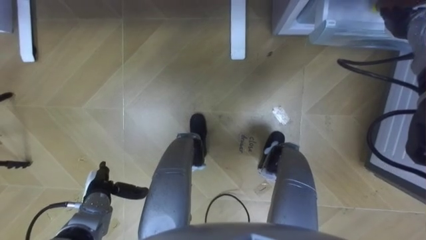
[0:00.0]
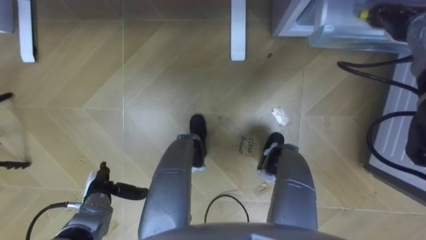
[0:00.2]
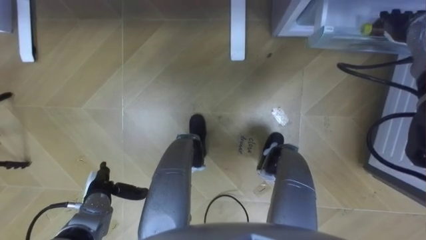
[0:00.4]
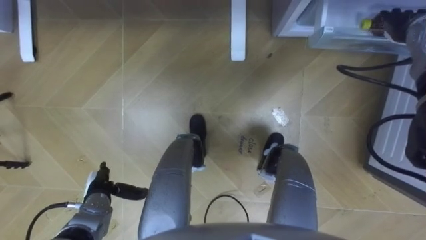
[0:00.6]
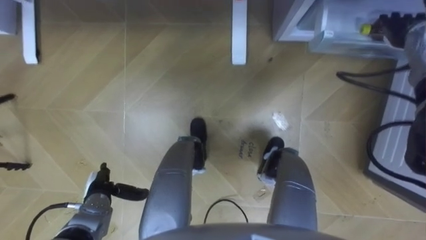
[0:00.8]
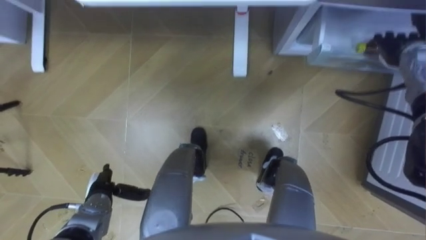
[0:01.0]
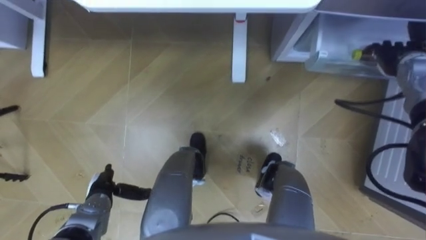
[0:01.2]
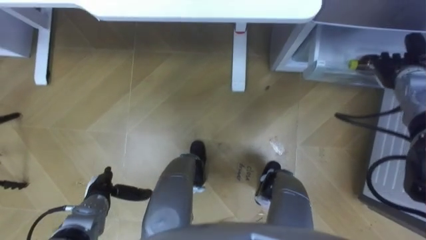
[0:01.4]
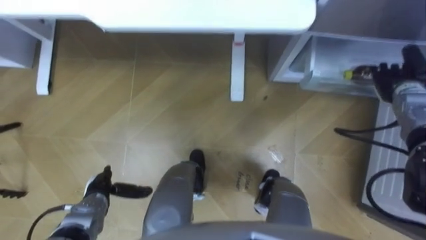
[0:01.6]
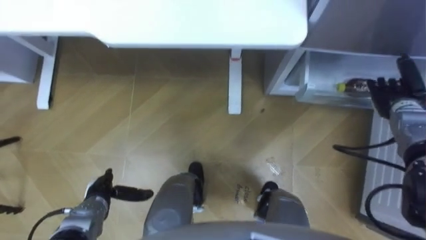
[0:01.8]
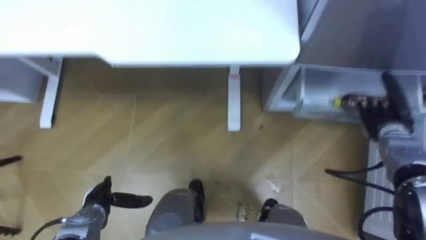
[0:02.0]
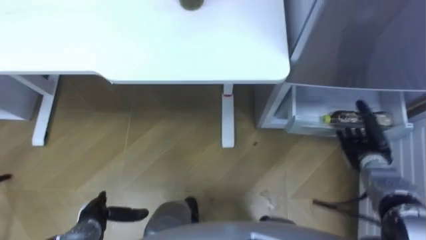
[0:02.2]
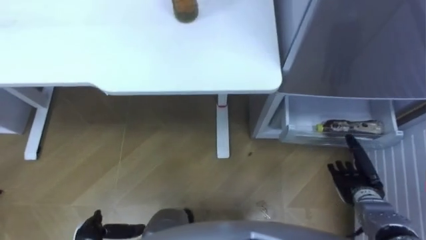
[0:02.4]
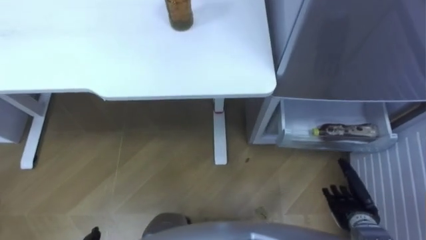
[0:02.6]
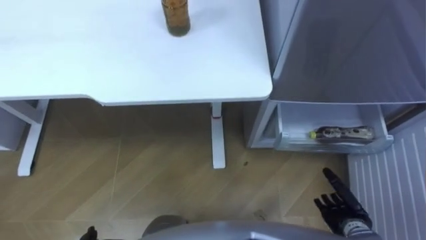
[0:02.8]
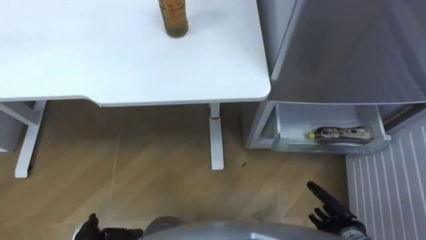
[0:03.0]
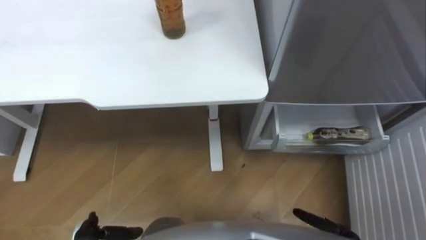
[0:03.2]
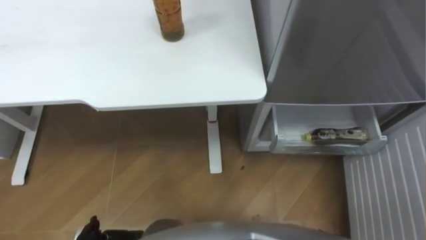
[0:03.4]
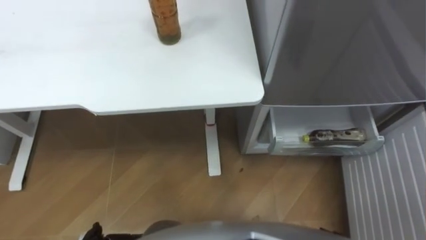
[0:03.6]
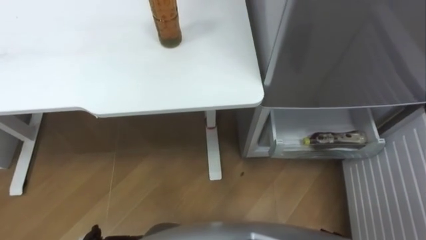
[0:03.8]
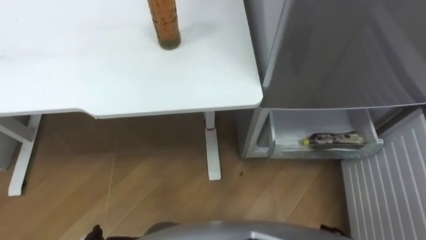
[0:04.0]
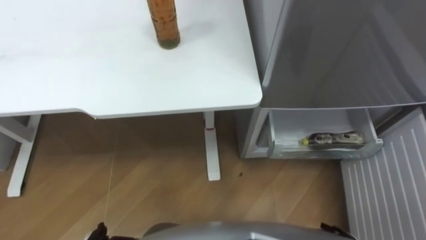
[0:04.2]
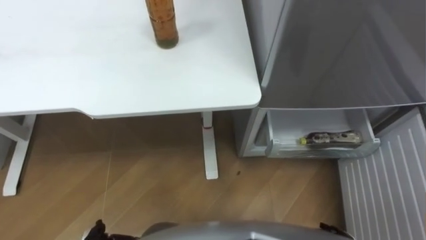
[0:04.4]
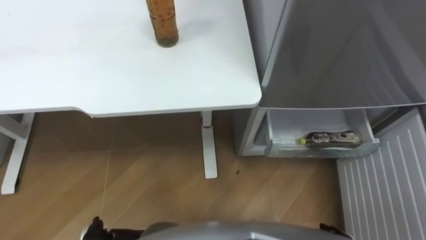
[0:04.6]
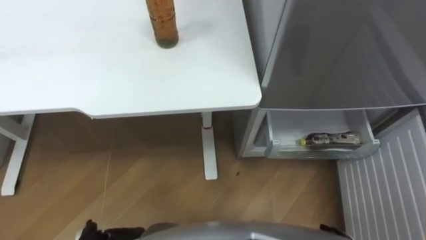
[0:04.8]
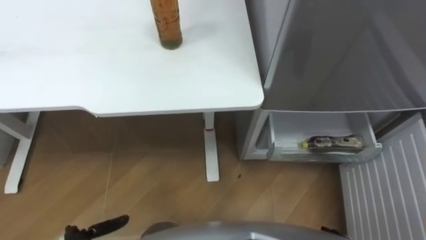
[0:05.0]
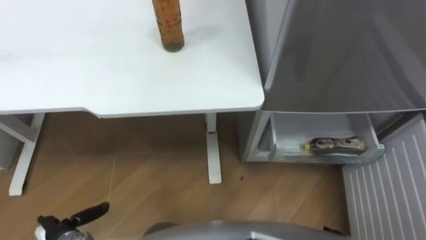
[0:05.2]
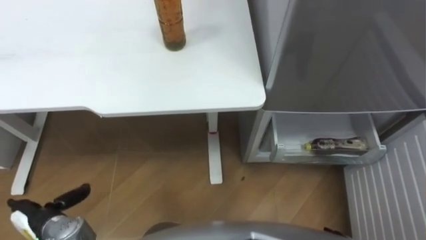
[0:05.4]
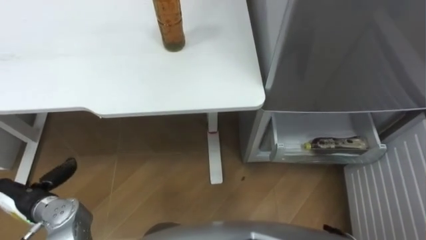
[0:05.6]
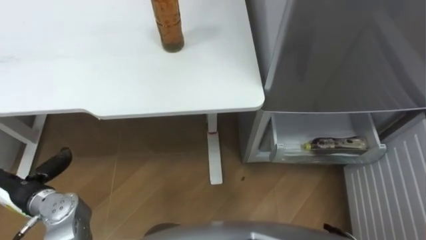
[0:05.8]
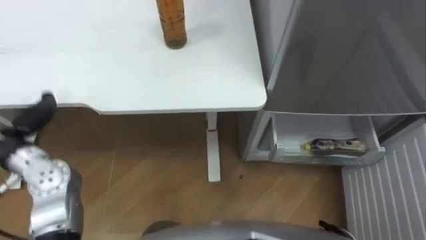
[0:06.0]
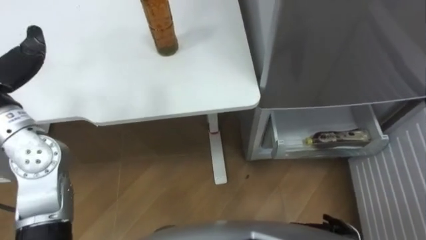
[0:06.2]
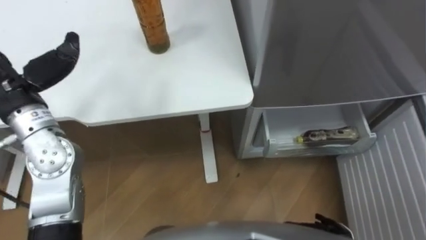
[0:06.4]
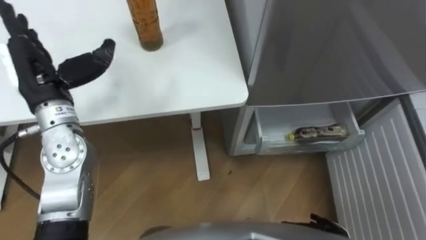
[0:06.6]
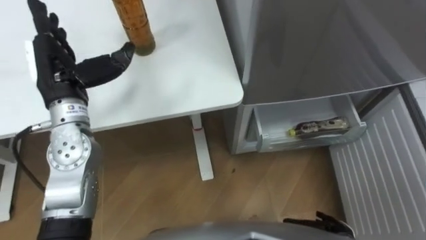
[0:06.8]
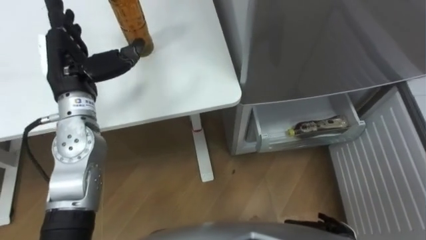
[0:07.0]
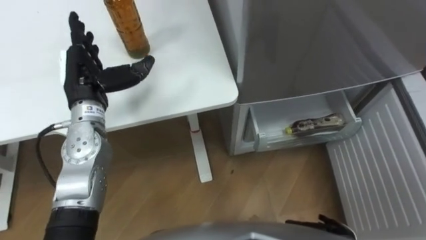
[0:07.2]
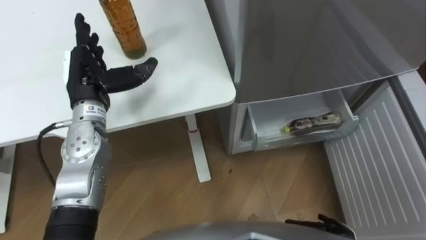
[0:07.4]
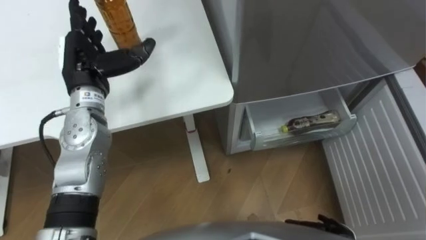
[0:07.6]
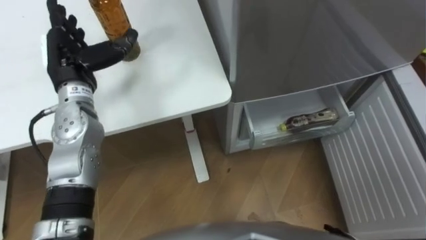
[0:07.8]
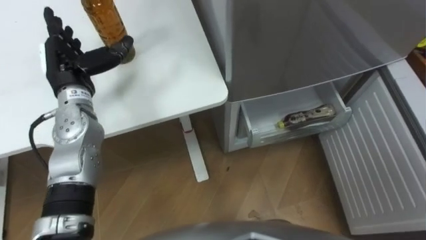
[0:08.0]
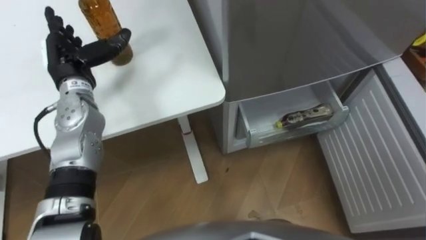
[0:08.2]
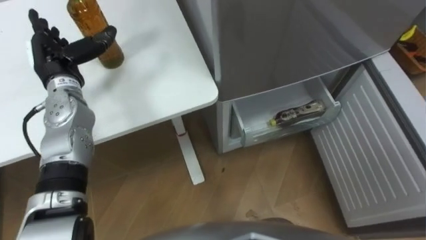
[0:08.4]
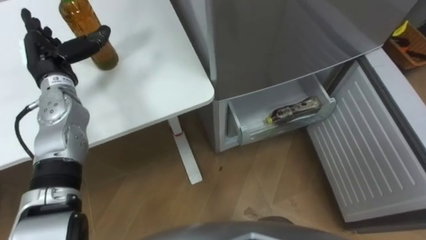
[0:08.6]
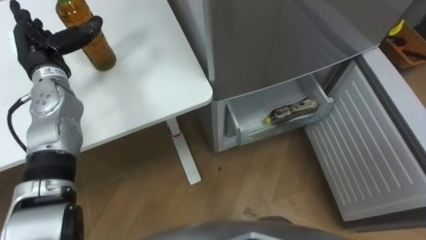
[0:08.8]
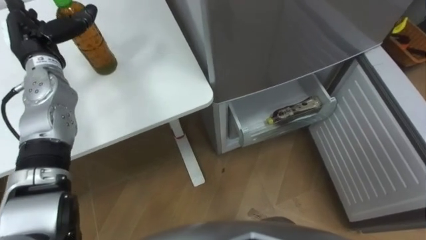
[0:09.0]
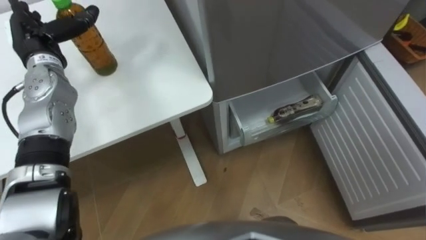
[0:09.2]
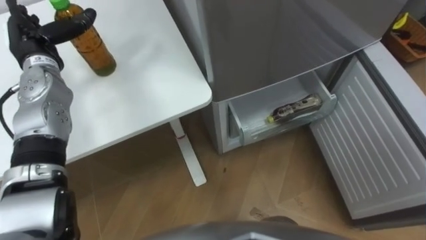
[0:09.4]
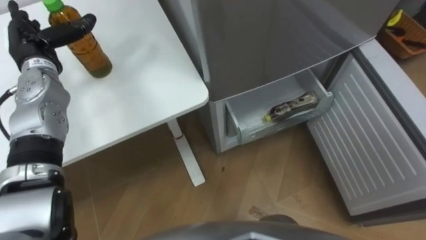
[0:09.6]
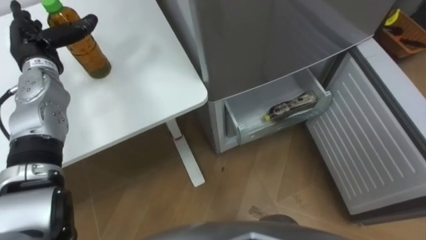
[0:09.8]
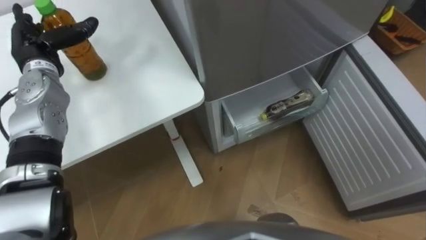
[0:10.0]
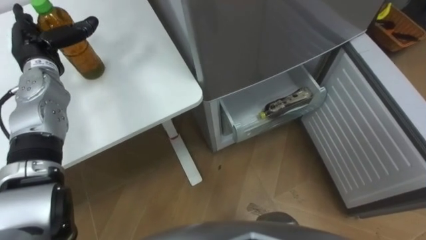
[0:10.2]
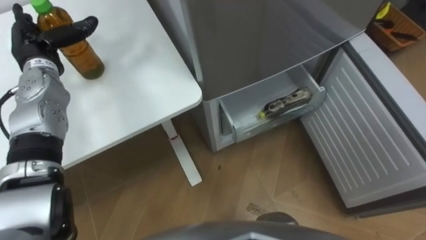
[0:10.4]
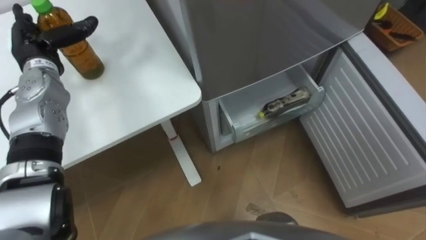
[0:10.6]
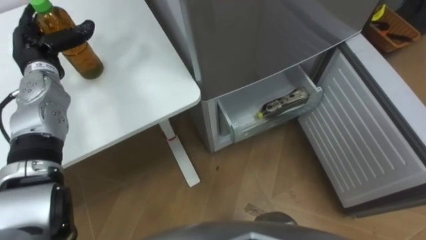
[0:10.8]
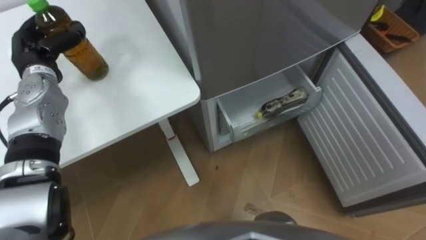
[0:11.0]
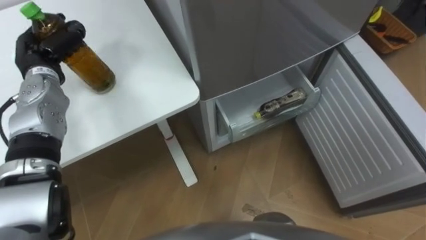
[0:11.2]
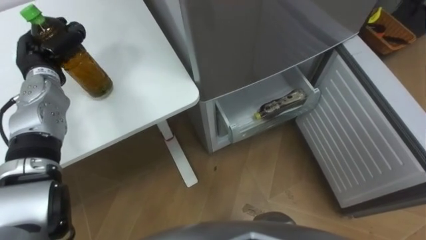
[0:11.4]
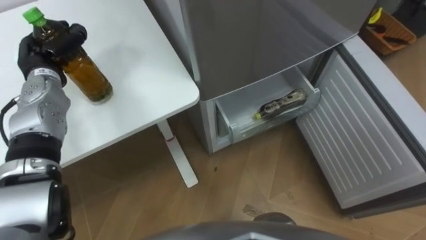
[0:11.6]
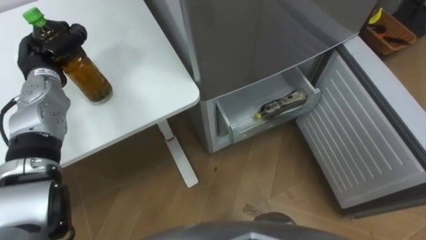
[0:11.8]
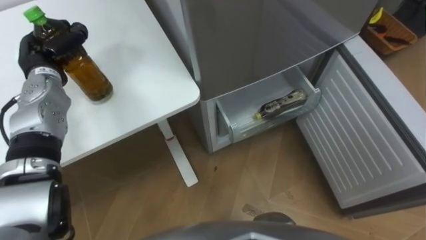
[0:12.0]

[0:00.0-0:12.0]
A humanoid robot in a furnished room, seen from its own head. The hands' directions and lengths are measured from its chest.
Task of the whole recording: Place the drink on the table on the bottom shelf of the refrigerator, then close the drawer and the refrigerator door.
0:00.0 to 0:01.6: The right hand travels downward and backward by about 10 cm.
0:01.6 to 0:03.0: The right hand heads backward and downward, covering some 30 cm.
0:07.6 to 0:09.0: The left hand travels to the left by roughly 10 cm.
0:10.4 to 0:12.0: The left hand closes up.

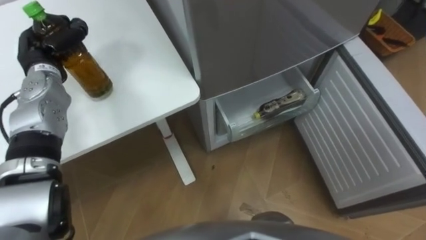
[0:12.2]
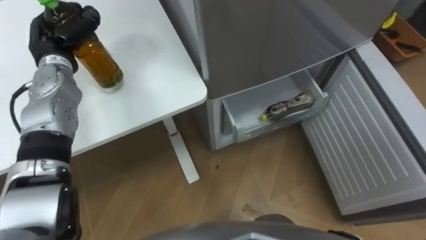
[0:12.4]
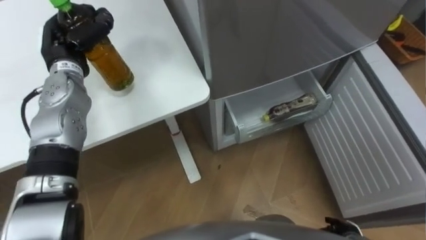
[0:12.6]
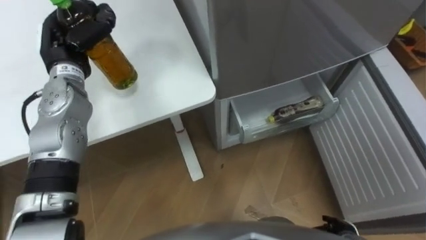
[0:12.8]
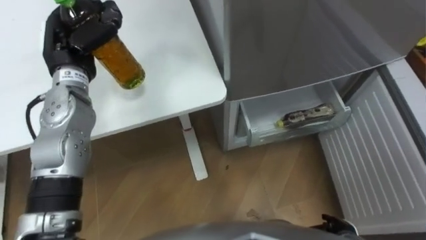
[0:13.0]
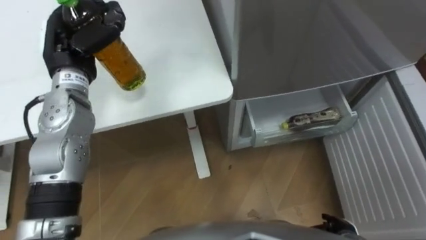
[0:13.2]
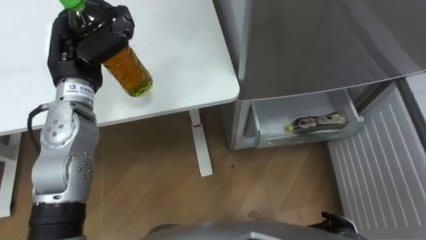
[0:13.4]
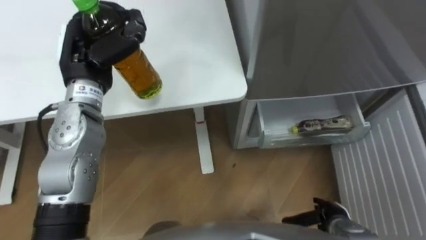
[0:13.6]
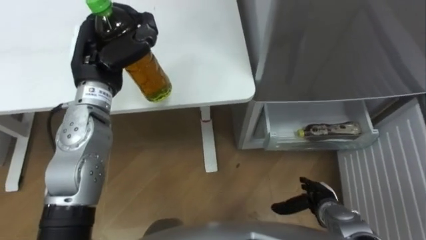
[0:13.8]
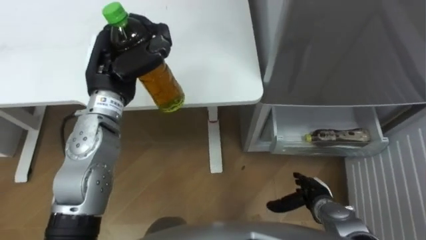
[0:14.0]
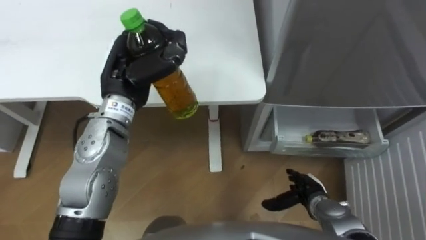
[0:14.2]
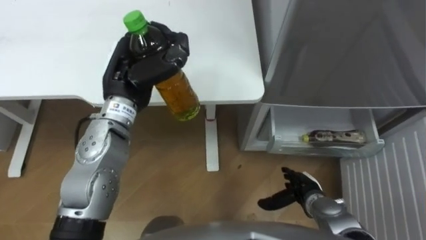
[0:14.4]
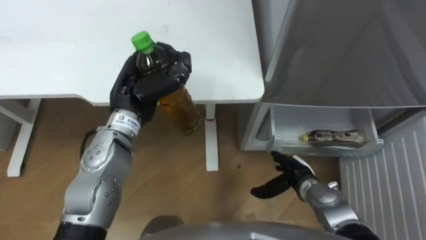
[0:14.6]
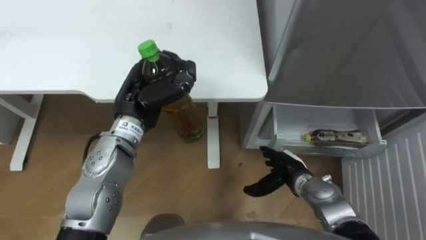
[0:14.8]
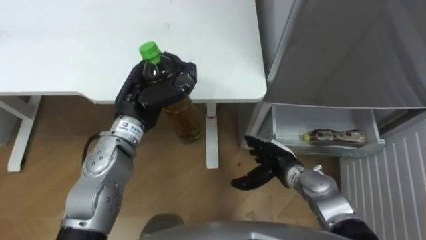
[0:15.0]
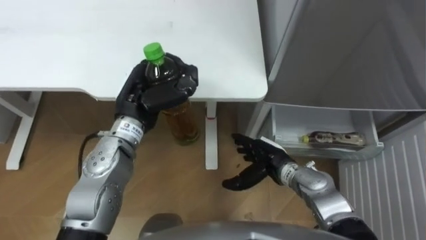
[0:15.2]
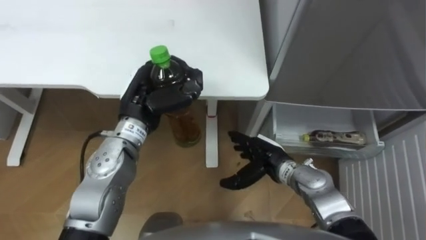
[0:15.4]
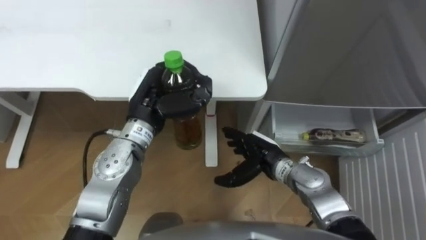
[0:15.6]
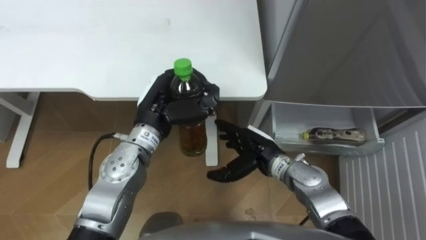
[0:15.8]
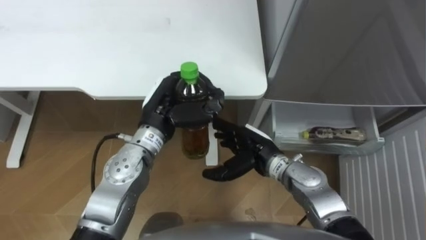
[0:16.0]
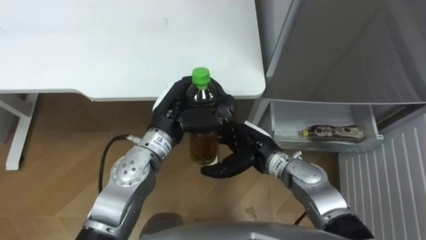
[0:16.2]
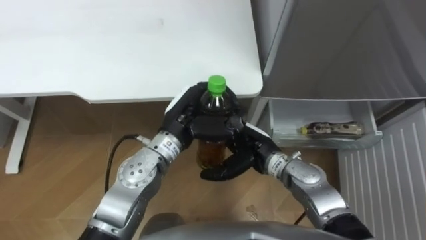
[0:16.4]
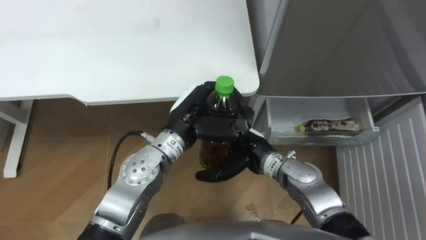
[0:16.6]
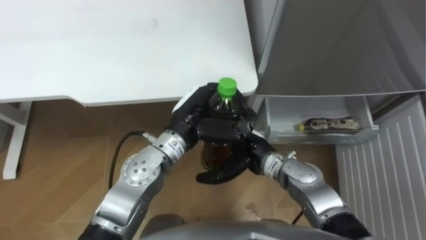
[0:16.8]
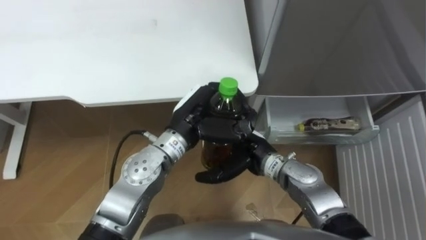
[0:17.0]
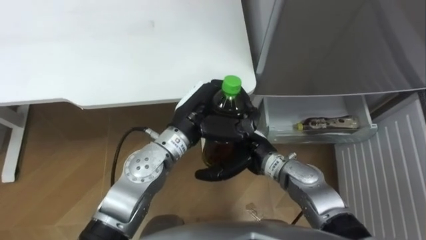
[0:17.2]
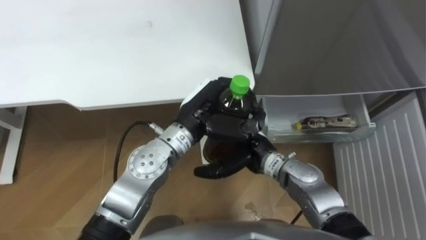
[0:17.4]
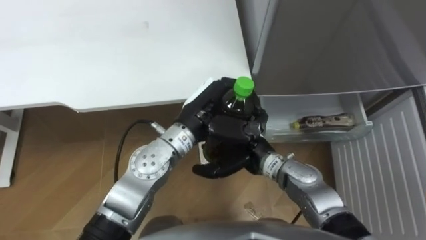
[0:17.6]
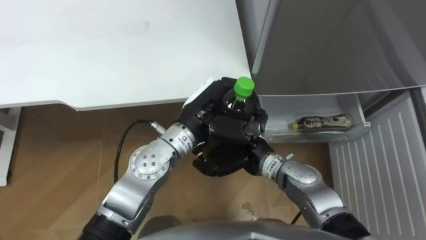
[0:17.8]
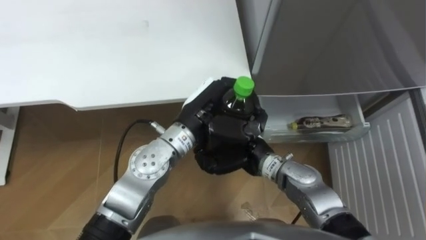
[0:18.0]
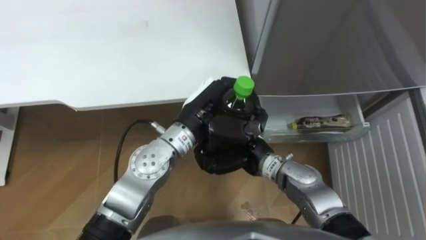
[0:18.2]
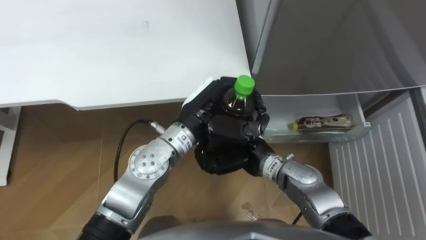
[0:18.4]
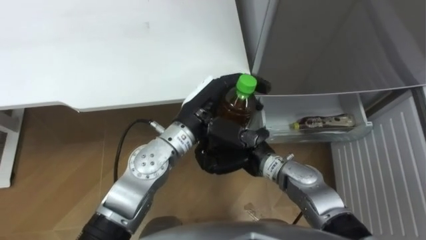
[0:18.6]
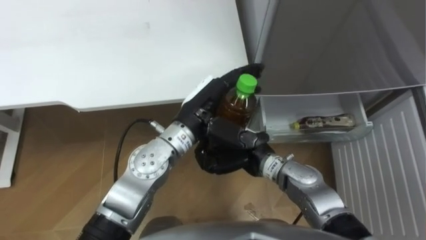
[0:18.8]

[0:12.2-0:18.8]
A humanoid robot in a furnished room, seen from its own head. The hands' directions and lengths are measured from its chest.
Task of the whole recording: Place the drink on the table on the bottom shelf of the refrigerator, then close the drawer and the refrigerator door.
0:12.2 to 0:13.8: The left hand heads to the right and upward, covering some 15 cm.
0:13.8 to 0:15.4: The left hand travels to the right and downward by about 10 cm. Meanwhile the right hand heads to the left, forward and upward, covering roughly 20 cm.
0:15.4 to 0:17.2: The left hand is displaced to the right by about 10 cm; the right hand travels to the left by about 5 cm.
0:17.2 to 0:18.8: The left hand opens its fingers; the right hand closes.
